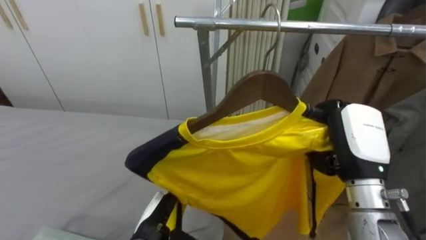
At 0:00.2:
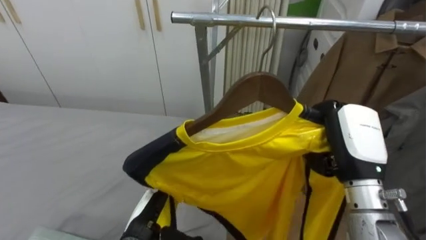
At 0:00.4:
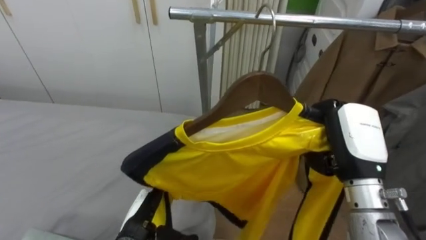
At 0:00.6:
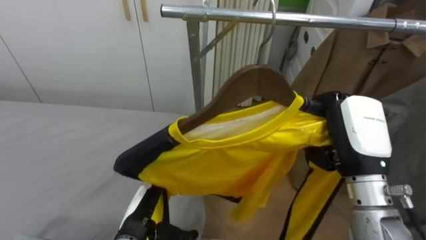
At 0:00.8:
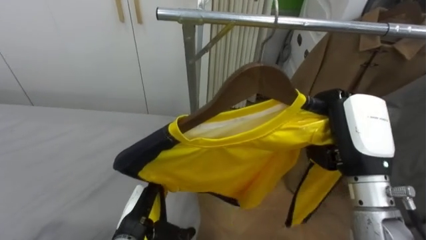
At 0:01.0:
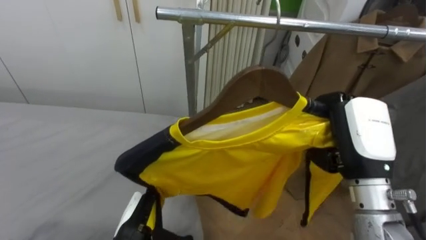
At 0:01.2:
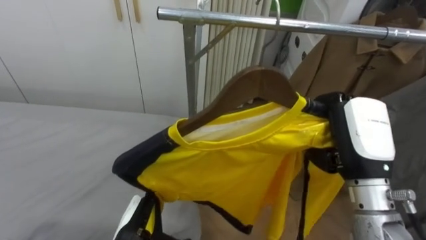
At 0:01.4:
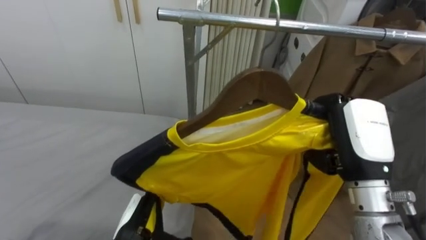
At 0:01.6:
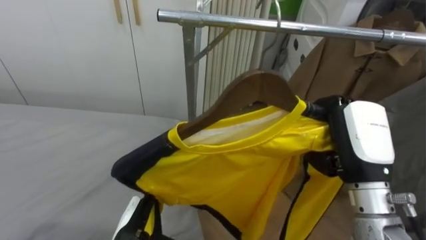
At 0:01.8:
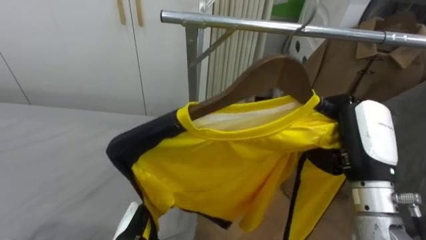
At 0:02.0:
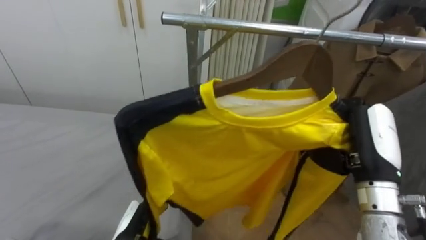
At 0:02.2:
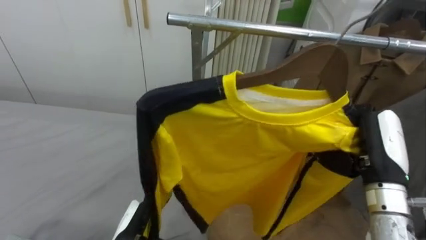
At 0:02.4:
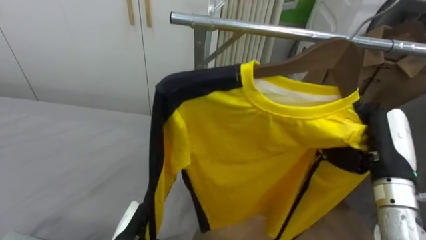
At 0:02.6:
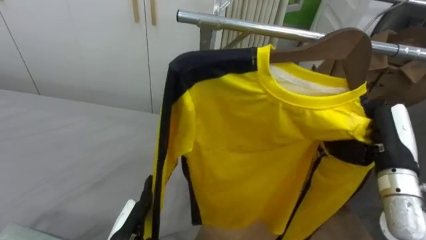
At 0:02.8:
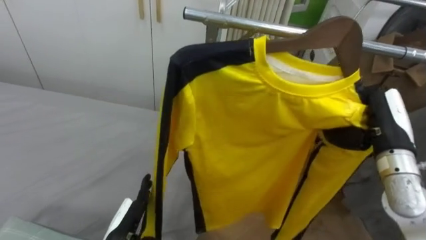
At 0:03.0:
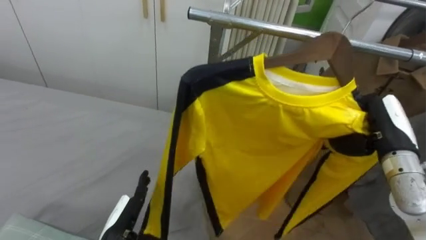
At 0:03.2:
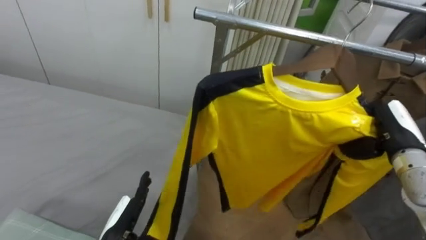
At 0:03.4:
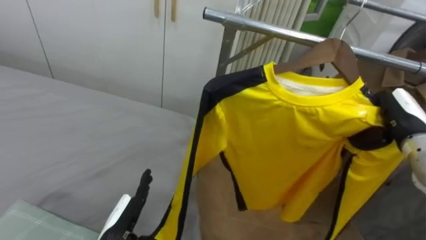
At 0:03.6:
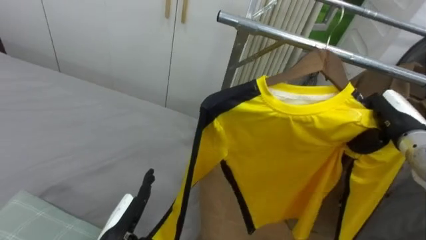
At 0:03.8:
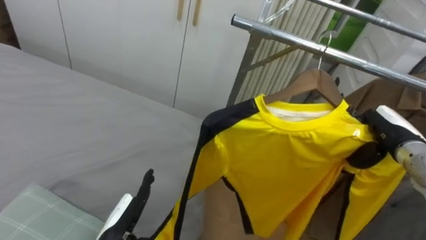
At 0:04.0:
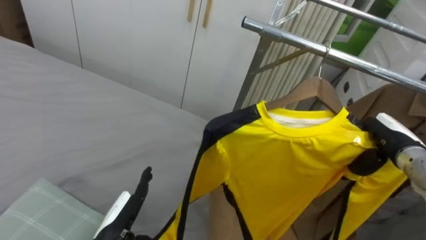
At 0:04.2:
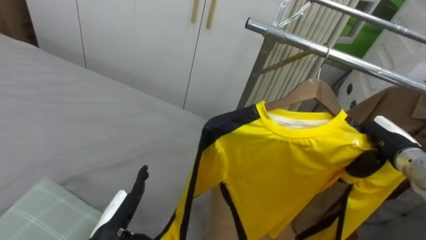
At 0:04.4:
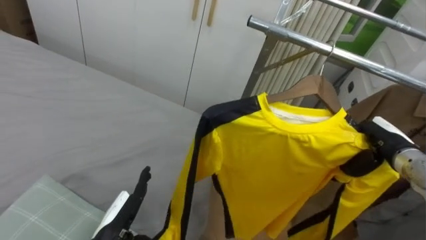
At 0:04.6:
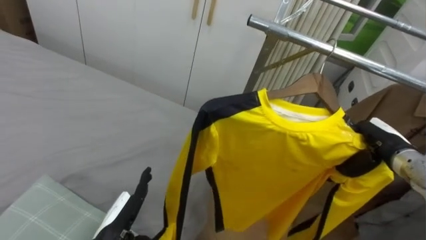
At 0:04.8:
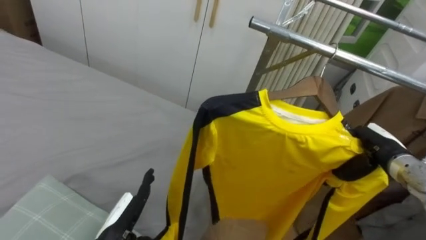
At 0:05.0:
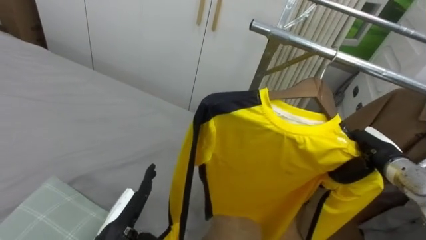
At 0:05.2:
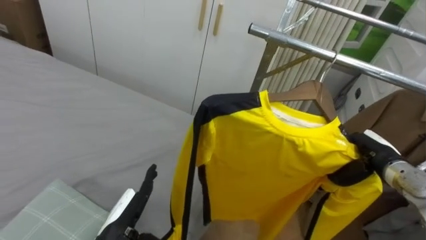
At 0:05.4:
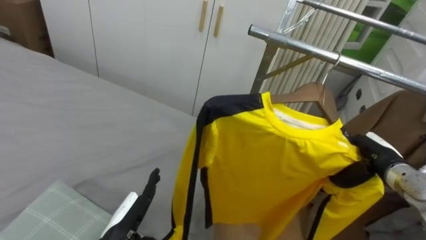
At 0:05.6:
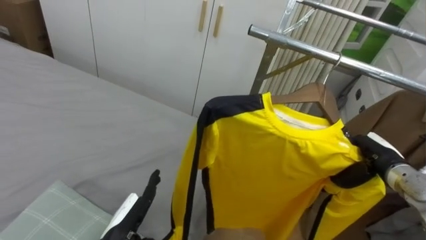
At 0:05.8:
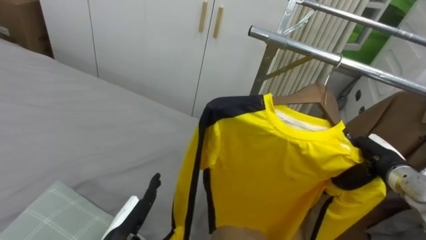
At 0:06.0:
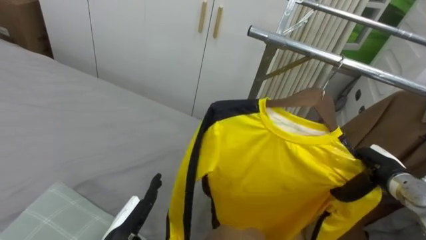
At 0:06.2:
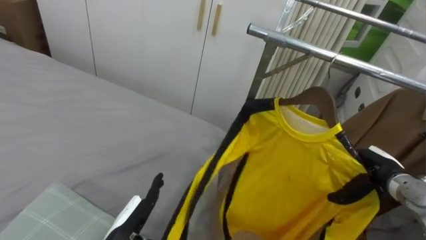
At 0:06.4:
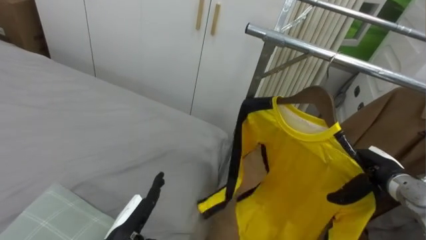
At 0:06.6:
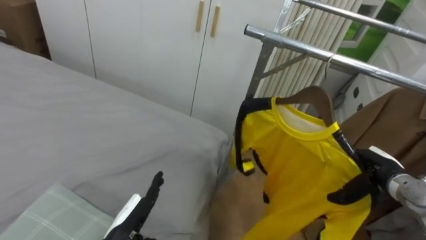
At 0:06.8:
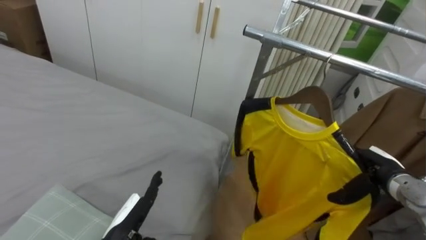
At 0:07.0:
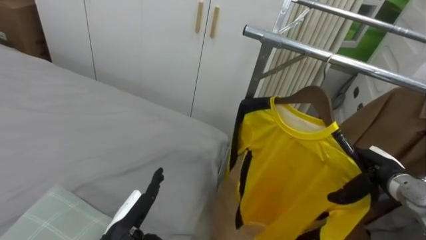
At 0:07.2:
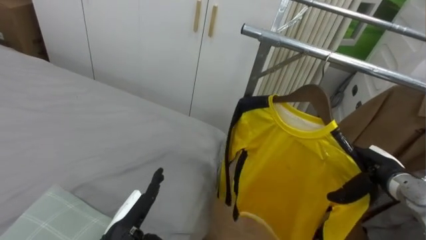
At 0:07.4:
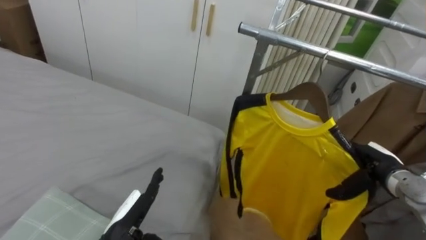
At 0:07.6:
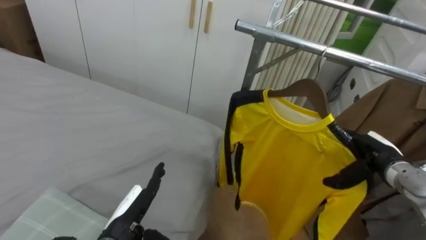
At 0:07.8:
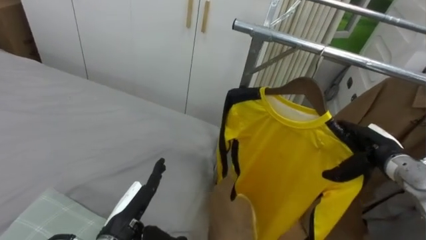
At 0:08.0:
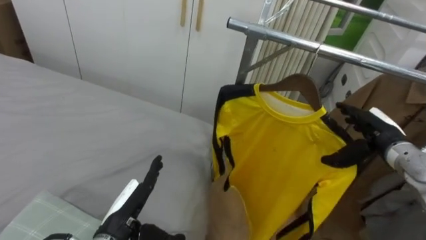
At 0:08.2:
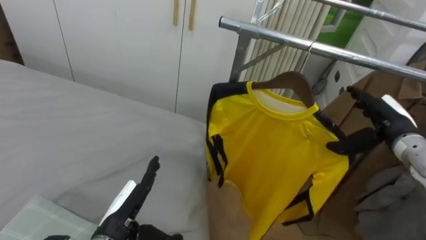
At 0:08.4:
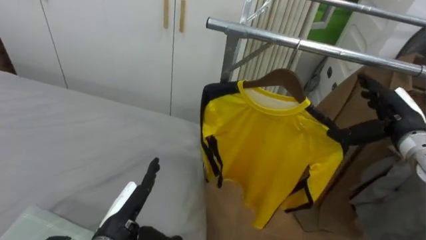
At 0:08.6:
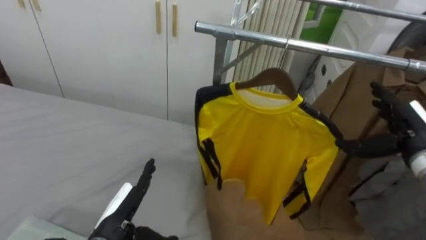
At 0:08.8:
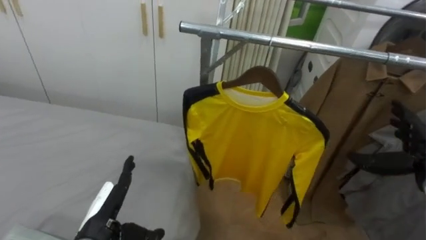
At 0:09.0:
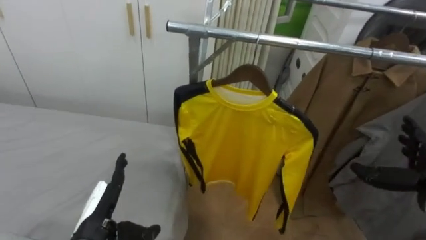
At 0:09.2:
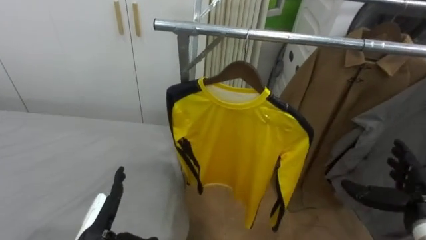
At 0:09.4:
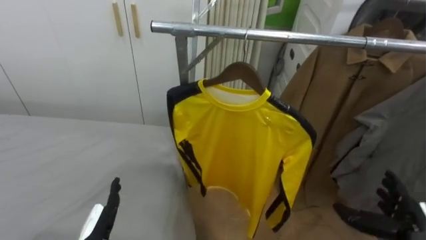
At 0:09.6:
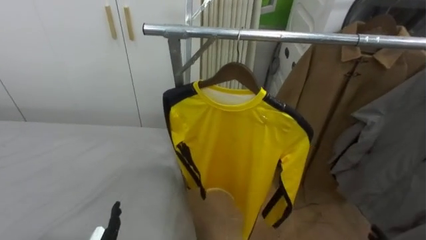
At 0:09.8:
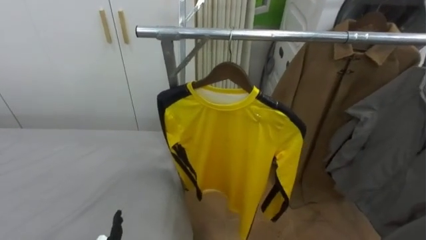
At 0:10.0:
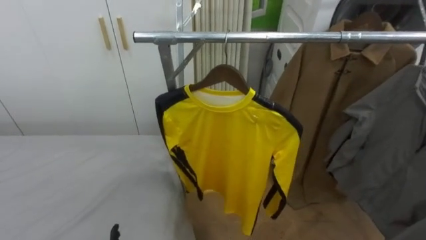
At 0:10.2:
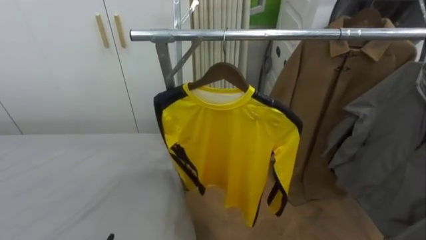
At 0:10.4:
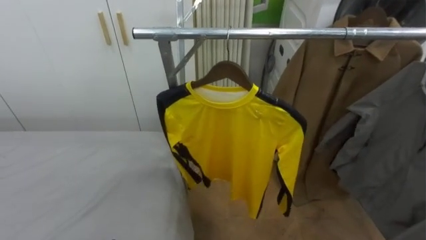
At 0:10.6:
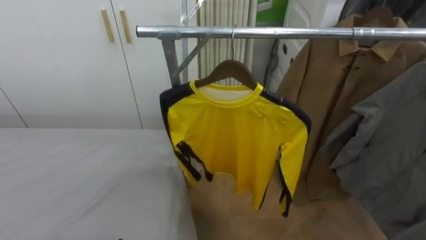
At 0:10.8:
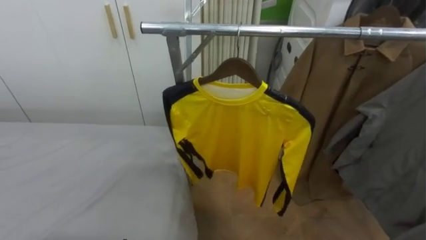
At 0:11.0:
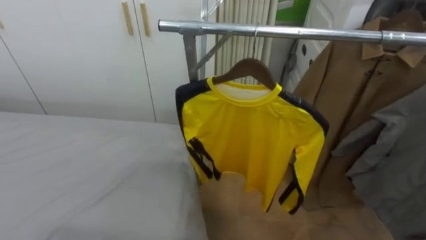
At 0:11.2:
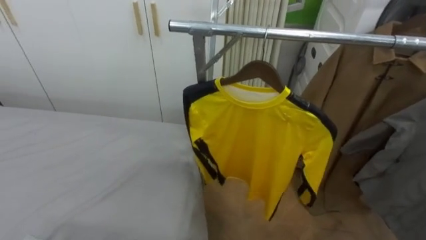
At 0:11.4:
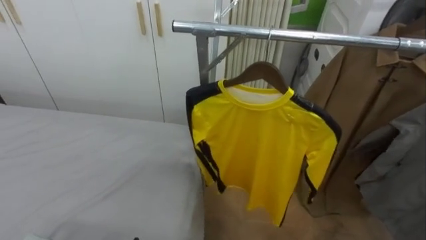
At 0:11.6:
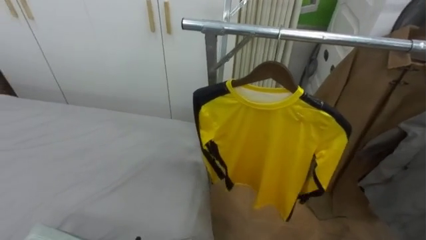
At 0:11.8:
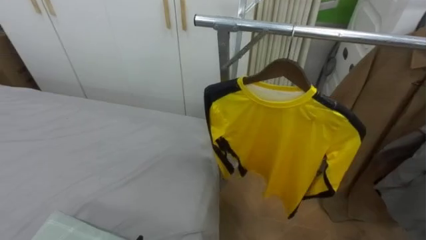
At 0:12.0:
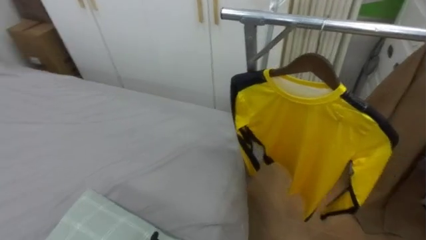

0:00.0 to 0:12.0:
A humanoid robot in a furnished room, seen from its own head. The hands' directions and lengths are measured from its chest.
Task of the whole recording: Pick up the yellow shirt on the bed and hang it on the clothes rack on the right.
0:01.6 to 0:03.0: The right hand goes some 10 cm to the right and forward.
0:03.0 to 0:04.4: The right hand travels downward by about 5 cm.
0:04.4 to 0:06.0: The right hand shifts about 5 cm downward.
0:06.0 to 0:07.6: The right hand opens up.
0:07.6 to 0:09.0: The left hand goes some 5 cm to the left; the right hand heads backward and to the right, covering some 10 cm.
0:10.4 to 0:12.0: The robot turns to its left by some 15 degrees.

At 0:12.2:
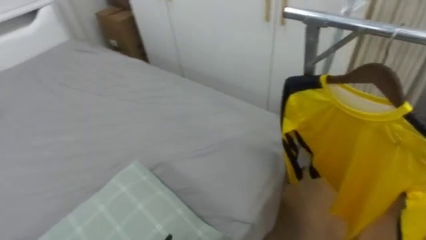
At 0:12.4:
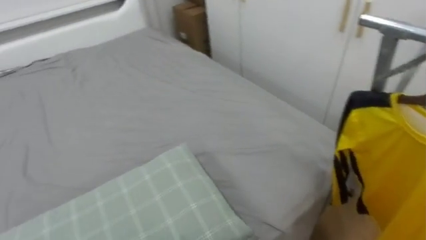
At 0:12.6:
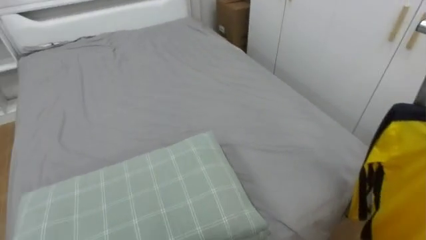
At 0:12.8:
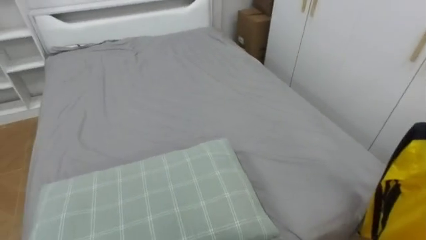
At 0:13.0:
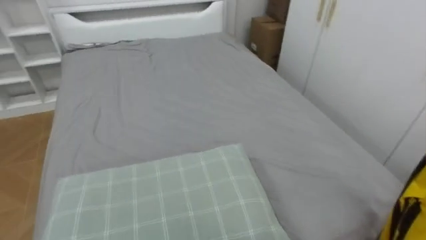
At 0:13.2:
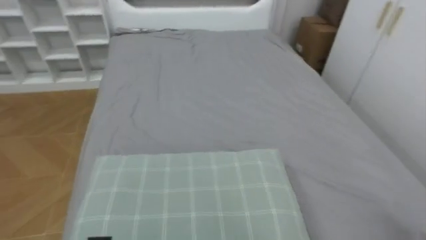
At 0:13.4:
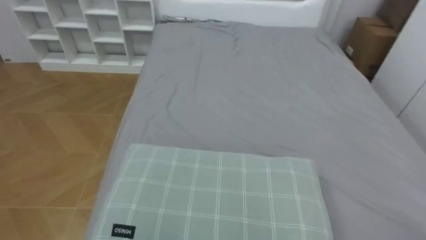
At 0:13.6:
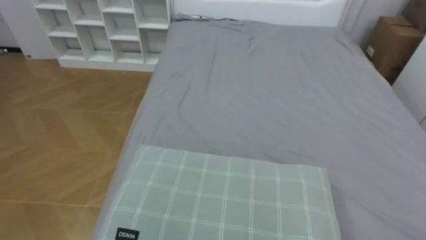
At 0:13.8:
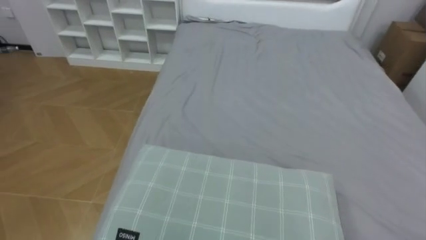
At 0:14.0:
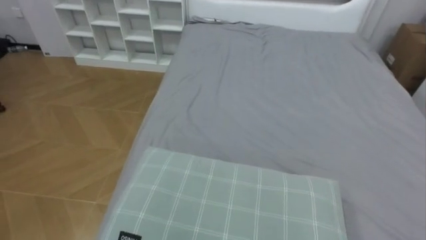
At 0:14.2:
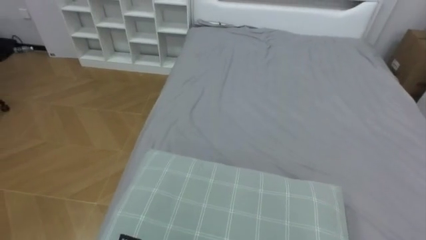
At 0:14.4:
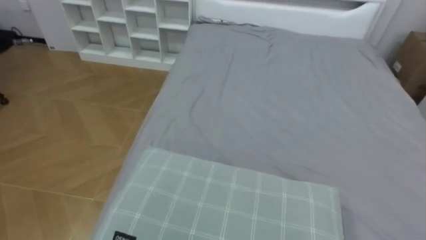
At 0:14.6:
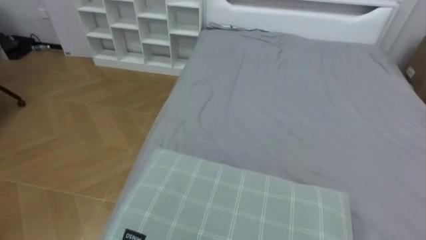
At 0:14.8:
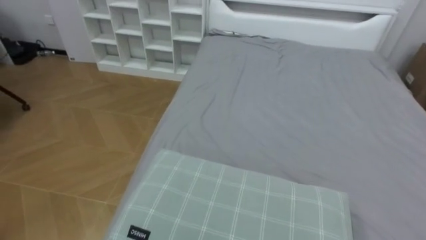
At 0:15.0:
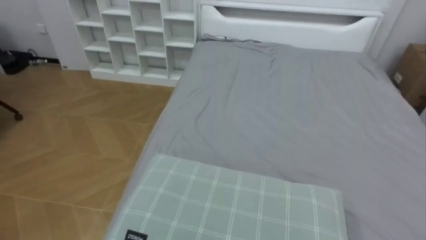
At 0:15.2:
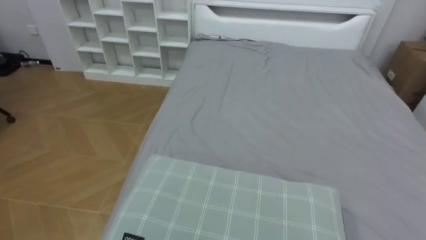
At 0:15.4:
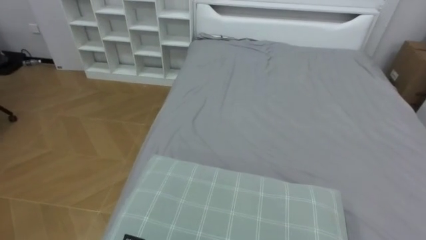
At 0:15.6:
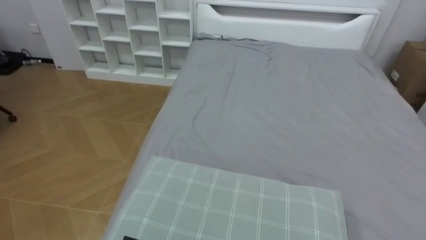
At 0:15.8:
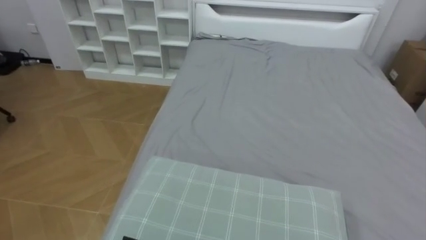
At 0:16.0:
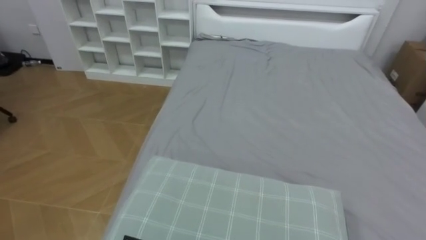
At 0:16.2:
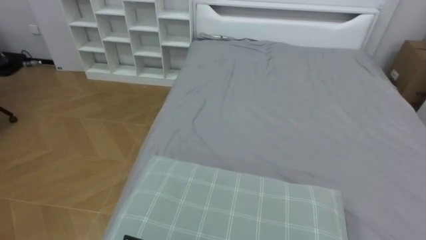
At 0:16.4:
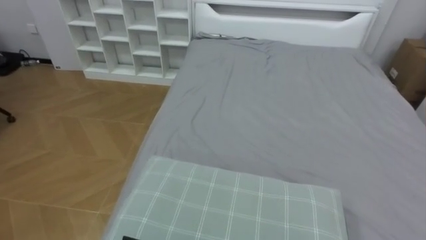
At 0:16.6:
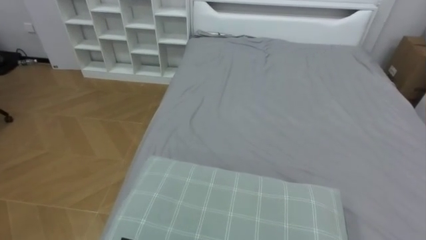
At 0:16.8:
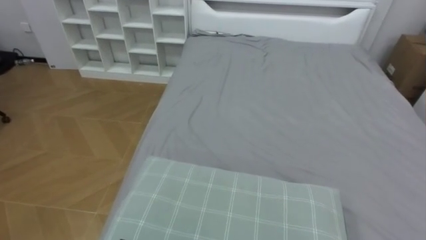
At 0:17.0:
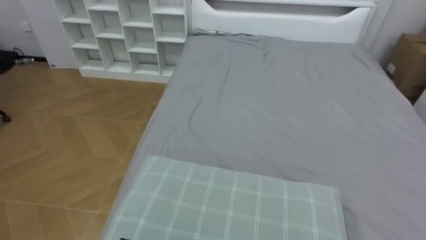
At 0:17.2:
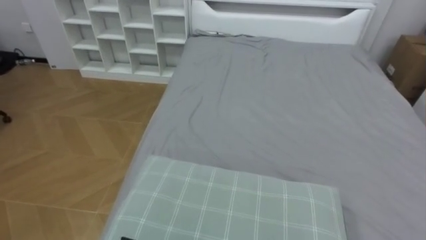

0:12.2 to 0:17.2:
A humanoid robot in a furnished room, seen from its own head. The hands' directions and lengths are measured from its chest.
Task of the whole recording: Pick up the yellow shirt on the bed and hang it on the clothes rack on the right.
0:12.2 to 0:13.8: The robot turns to its left by about 60 degrees.
